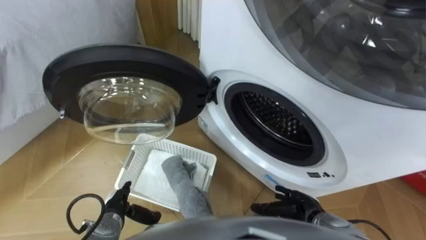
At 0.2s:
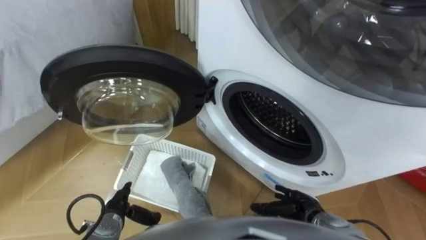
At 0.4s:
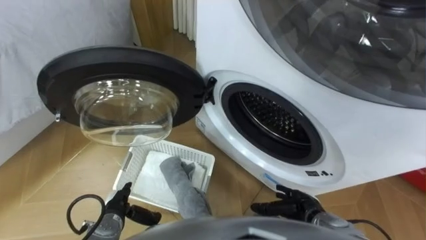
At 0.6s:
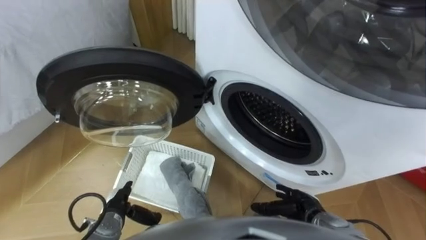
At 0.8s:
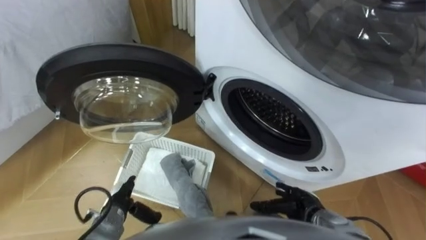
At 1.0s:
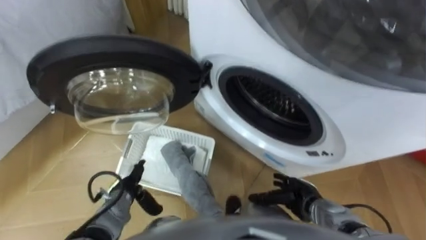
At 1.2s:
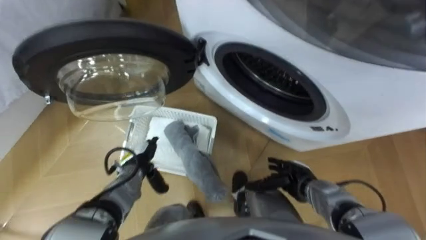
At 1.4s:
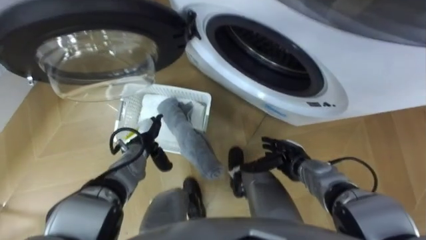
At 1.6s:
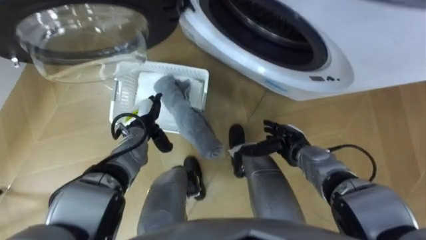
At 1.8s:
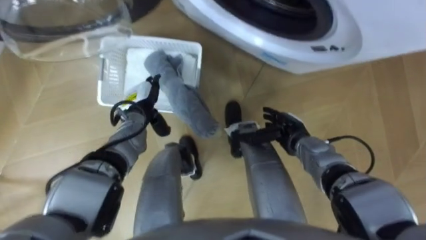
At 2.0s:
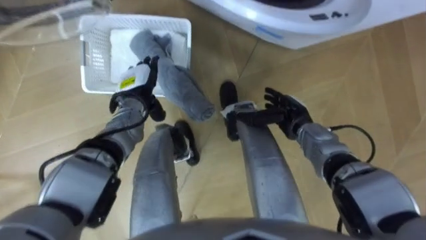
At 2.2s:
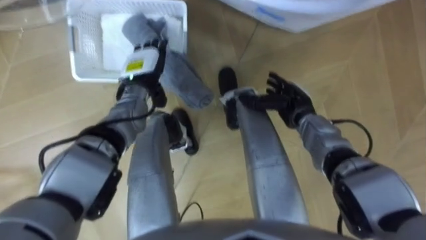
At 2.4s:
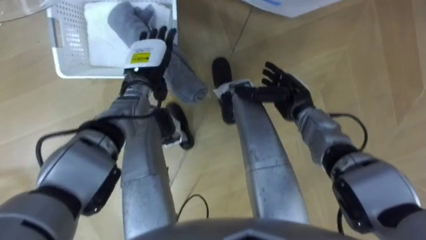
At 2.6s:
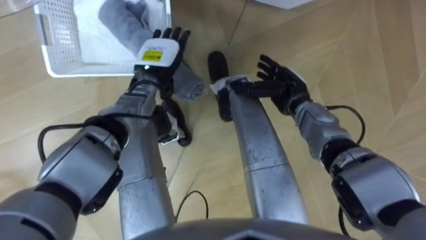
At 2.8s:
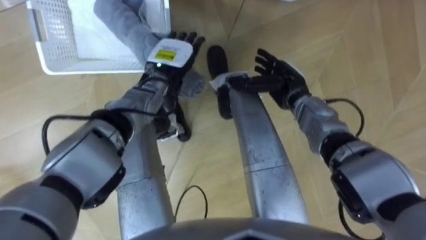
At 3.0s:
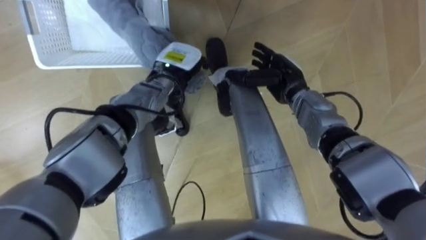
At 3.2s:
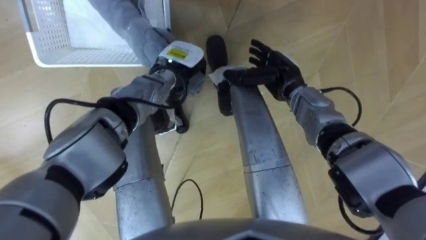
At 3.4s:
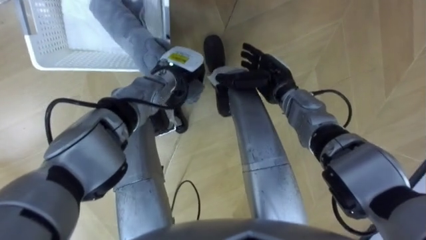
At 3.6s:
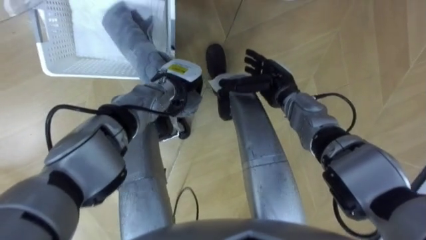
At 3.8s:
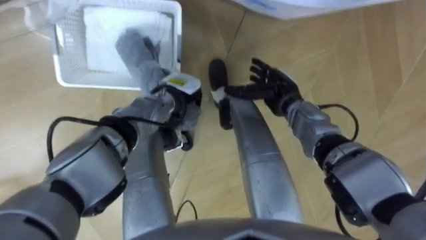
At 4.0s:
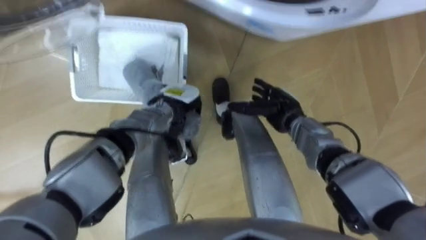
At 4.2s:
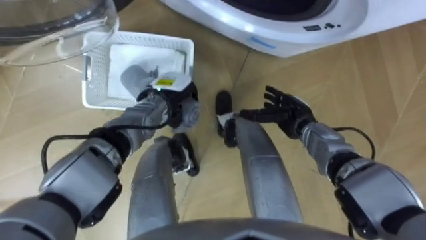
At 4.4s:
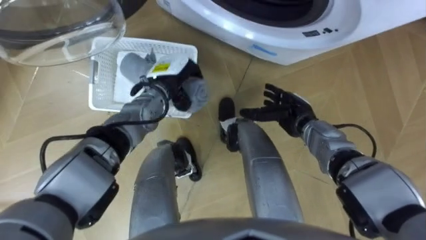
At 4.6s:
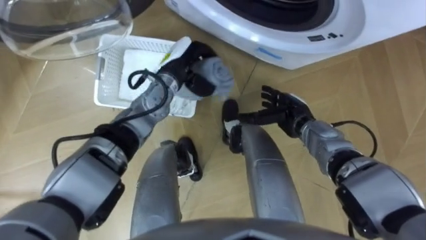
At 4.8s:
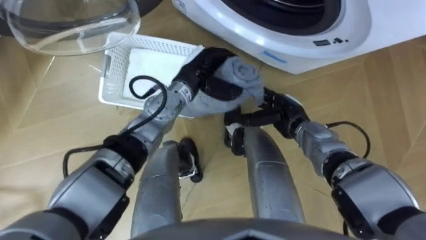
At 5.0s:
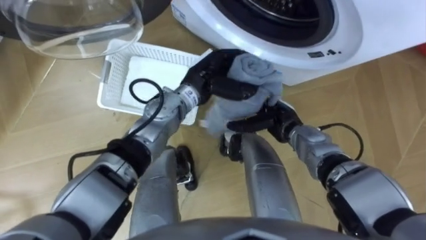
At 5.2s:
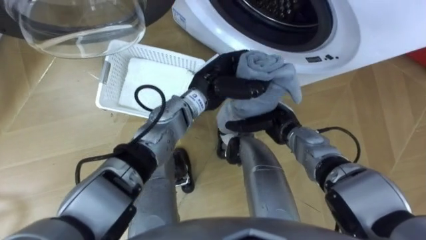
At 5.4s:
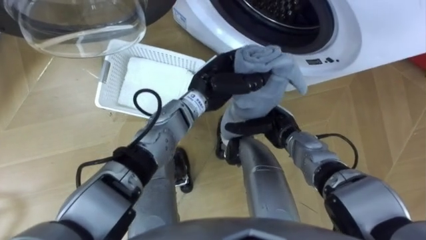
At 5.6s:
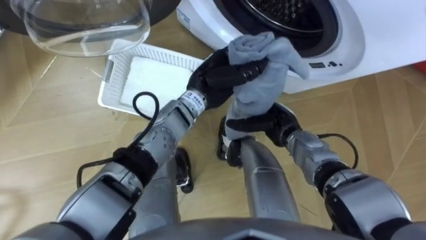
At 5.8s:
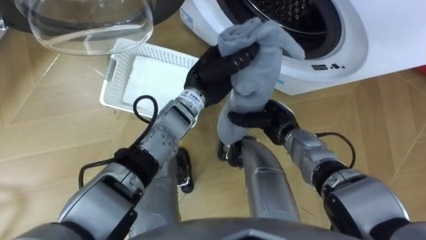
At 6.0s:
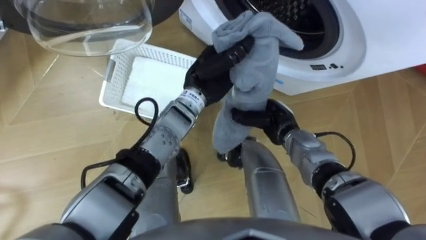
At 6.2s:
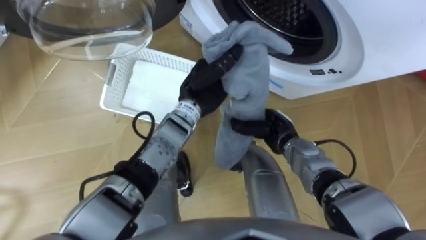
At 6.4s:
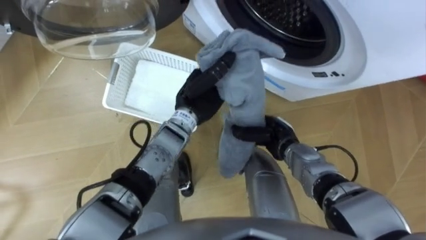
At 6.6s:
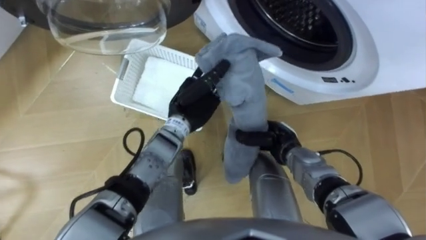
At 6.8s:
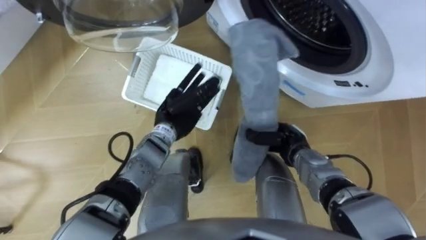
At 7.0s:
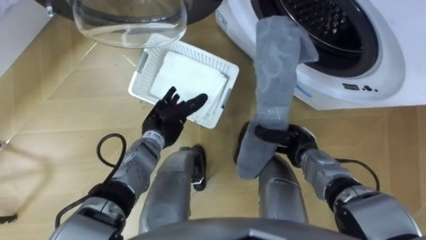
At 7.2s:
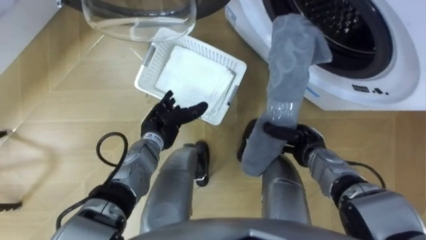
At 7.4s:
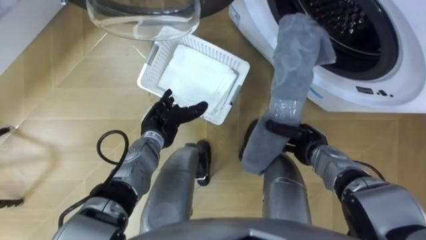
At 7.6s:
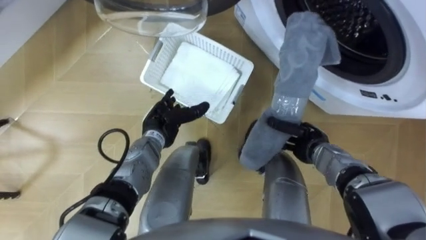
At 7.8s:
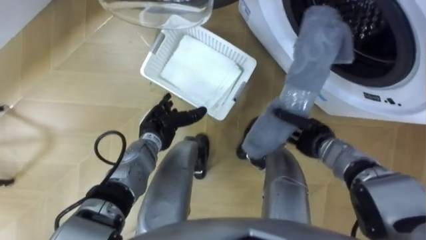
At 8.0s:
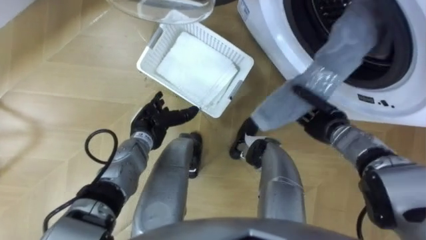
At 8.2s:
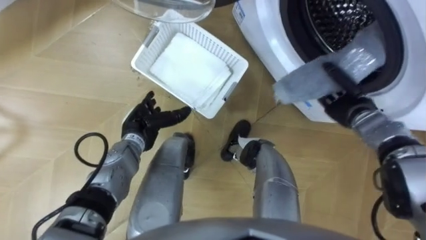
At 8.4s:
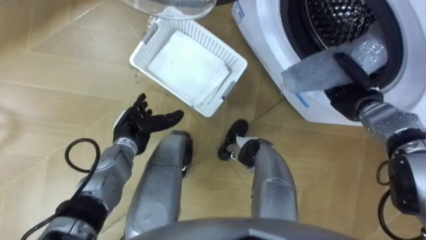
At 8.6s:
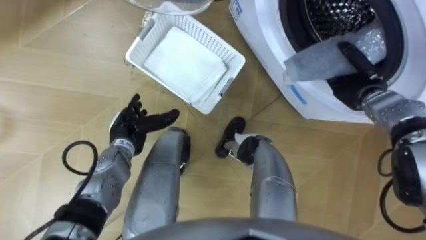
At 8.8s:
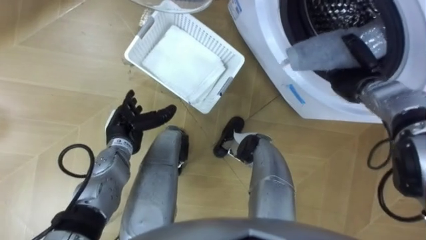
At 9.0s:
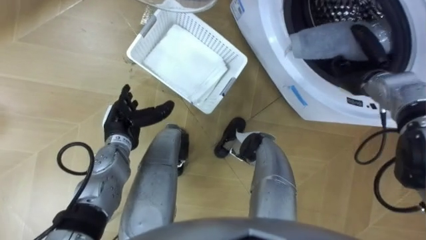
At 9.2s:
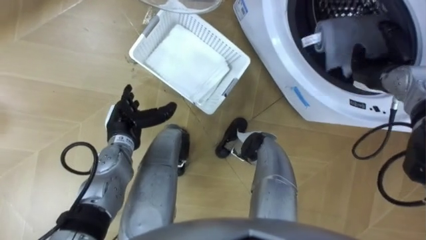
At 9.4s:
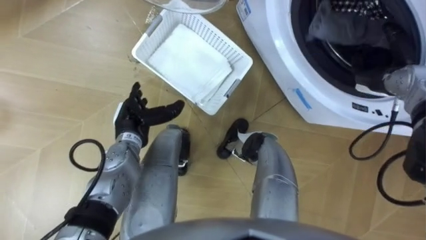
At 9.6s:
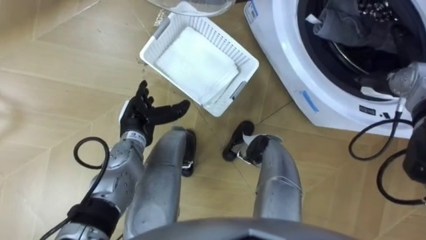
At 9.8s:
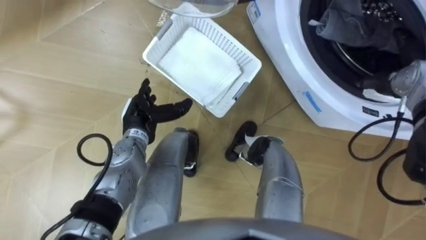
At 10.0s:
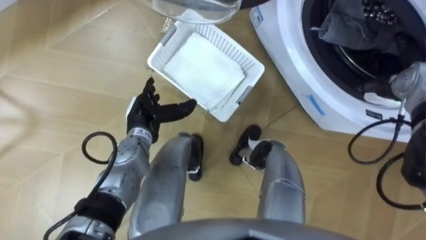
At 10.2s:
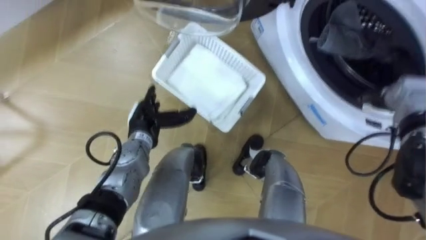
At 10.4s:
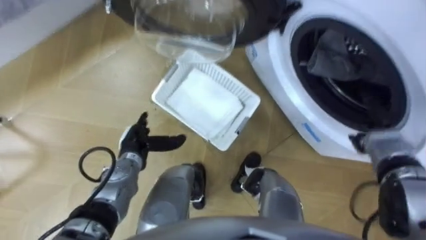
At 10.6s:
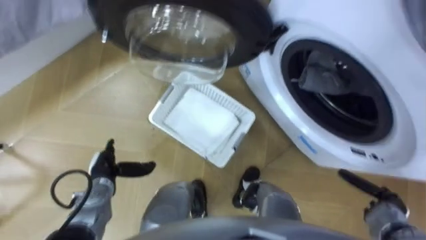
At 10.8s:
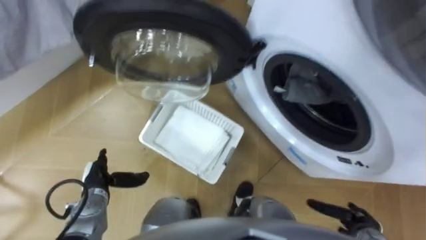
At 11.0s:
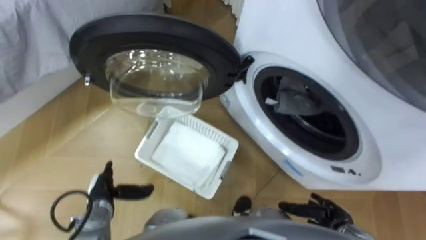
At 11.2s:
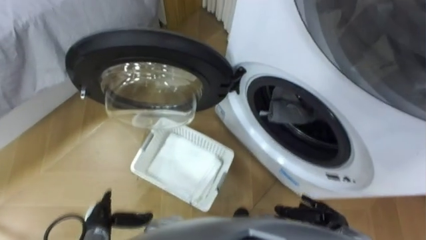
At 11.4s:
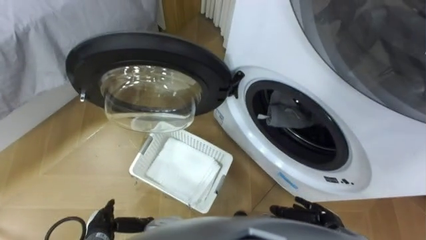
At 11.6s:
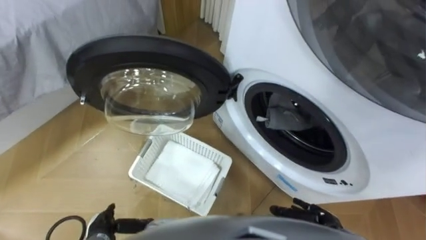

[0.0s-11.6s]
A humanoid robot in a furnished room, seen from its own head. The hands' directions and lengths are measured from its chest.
Task of the whole recording: Take the towel from the basket and put it into the washing machine.
1.4s to 2.8s: The left hand shifts some 20 cm upward, forward and to the right. Meanwhile the right hand travels forward and upward by about 20 cm.
2.8s to 4.4s: The right hand shifts by some 5 cm; the left hand closes its fingers.
4.4s to 5.8s: The left hand shifts some 10 cm to the right and upward.
5.8s to 7.2s: The left hand heads downward, to the left and backward, covering some 20 cm, and opens up; the right hand goes about 5 cm to the right, and closes.
7.2s to 8.8s: The right hand goes approximately 20 cm upward, forward and to the right. The left hand heads to the left, covering some 5 cm.
8.8s to 10.2s: The right hand moves to the right, some 5 cm, and opens up.
10.2s to 11.6s: Both hands move backward, downward and to the left, some 30 cm.

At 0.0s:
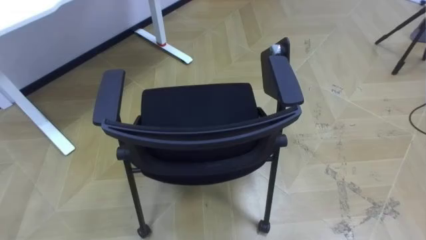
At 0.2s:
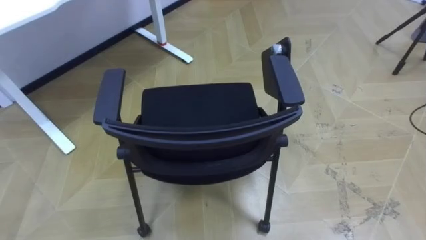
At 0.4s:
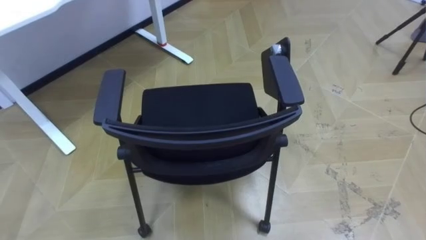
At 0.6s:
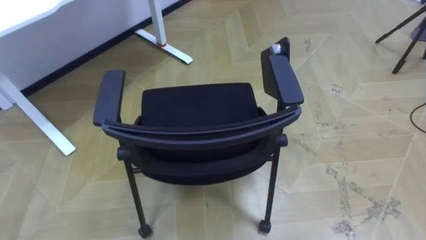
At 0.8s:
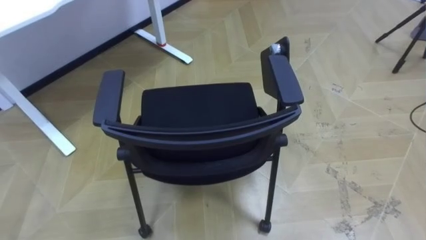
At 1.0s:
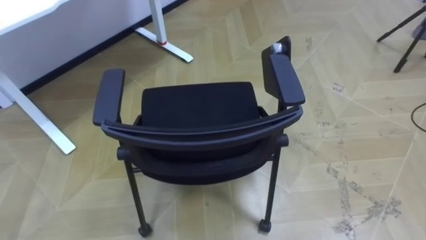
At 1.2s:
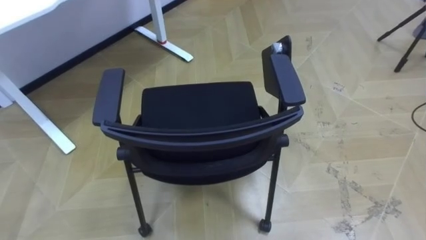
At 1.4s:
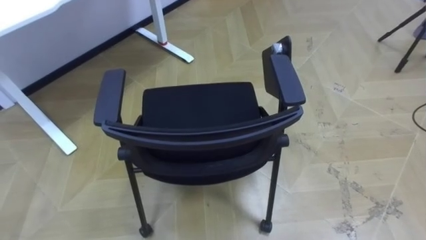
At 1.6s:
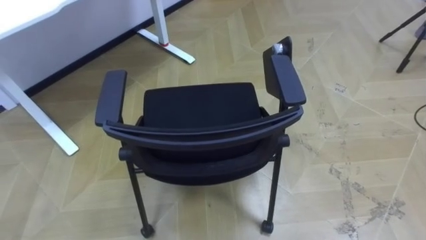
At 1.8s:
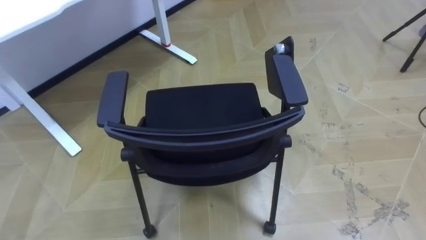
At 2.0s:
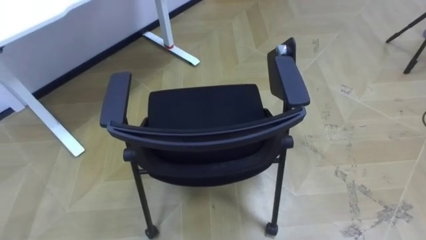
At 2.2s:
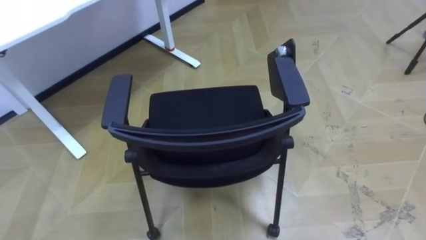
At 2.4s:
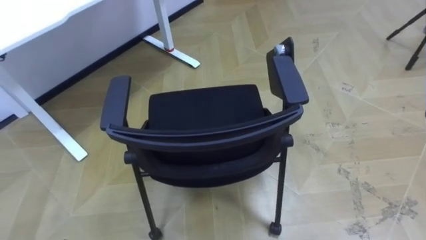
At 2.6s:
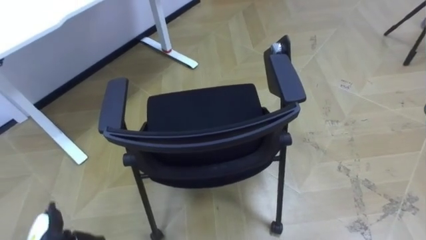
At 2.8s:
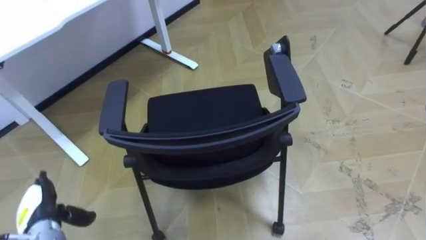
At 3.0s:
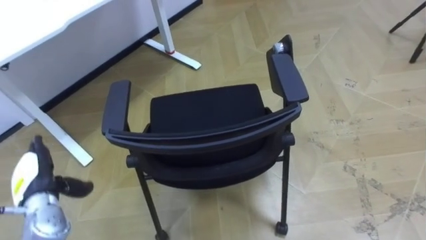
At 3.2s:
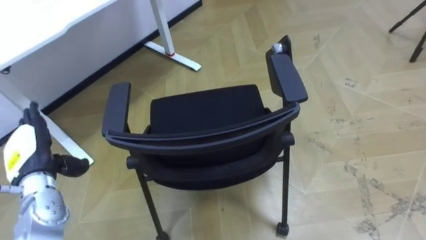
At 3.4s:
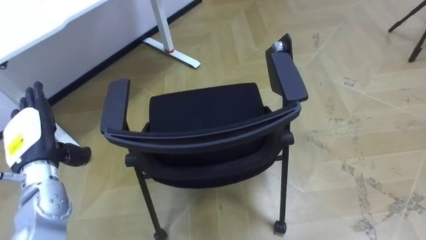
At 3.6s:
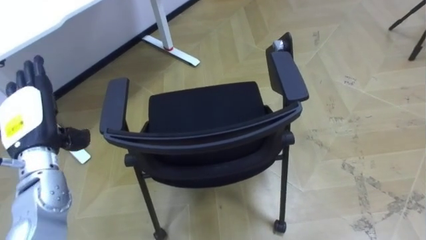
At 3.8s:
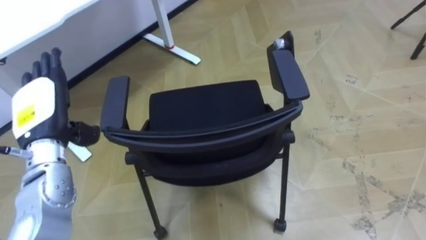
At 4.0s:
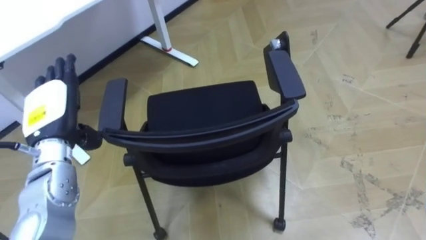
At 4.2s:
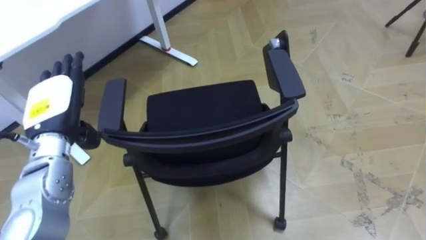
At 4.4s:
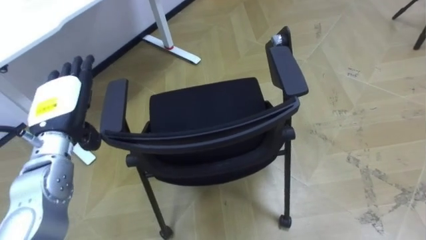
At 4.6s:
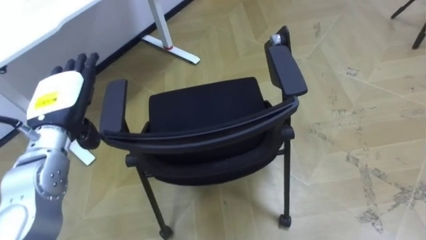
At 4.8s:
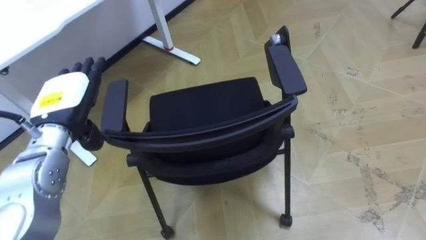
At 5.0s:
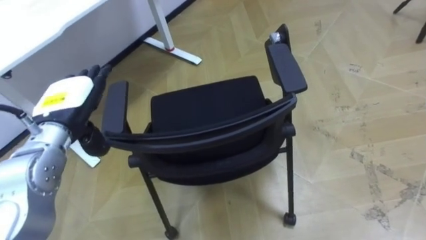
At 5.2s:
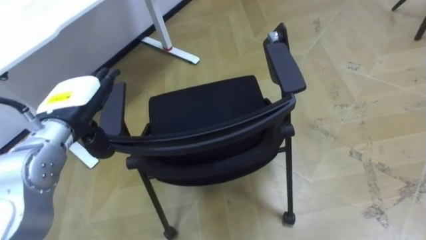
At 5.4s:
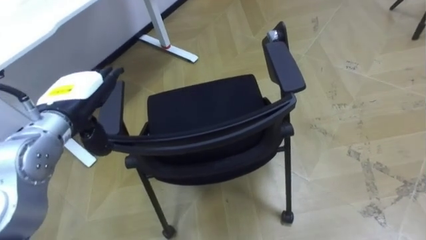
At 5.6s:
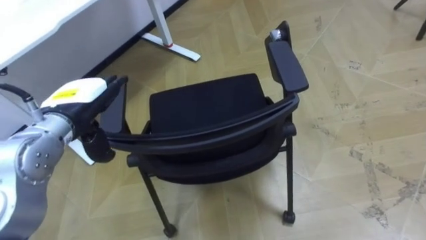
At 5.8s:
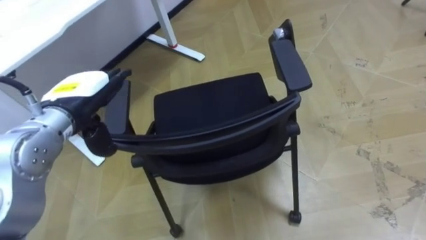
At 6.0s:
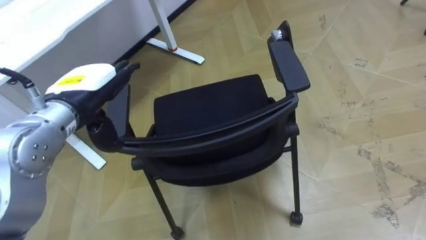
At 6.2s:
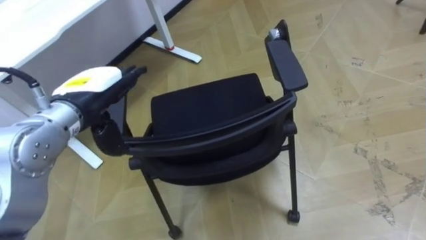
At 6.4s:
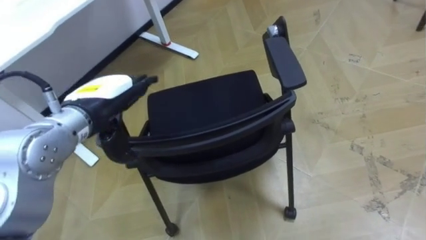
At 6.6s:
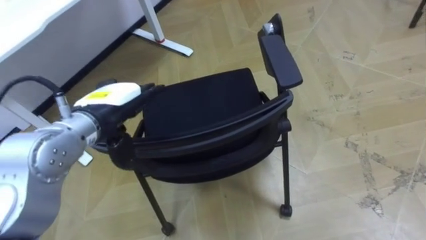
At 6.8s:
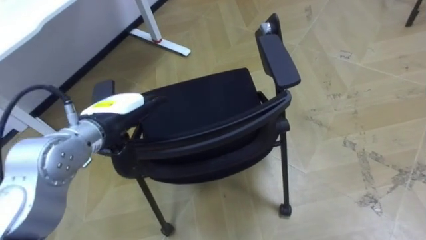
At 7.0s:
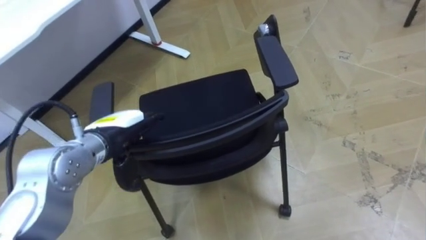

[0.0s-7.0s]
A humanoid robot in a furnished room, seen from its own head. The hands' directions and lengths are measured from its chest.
Task of the whole recording: Push the chair under the table.
2.8s to 4.2s: The left hand heads upward and forward, covering about 20 cm.
5.6s to 7.0s: The left hand heads downward and to the right, covering some 5 cm.
